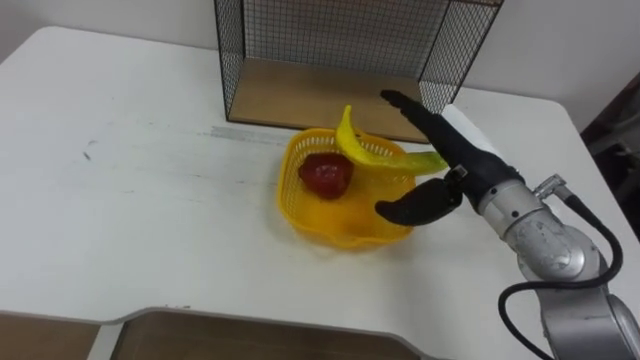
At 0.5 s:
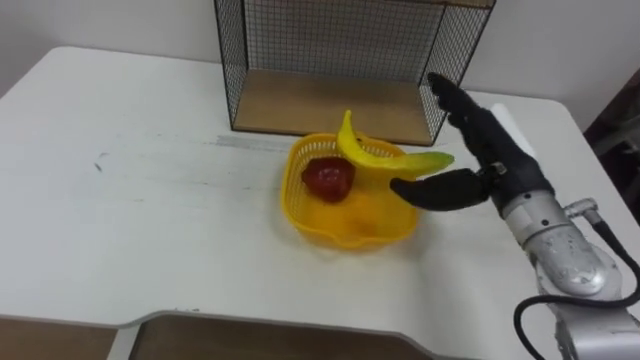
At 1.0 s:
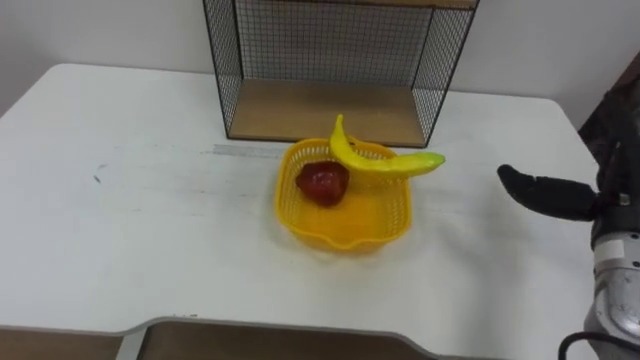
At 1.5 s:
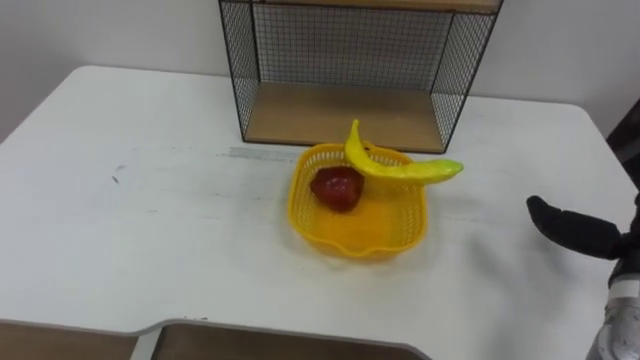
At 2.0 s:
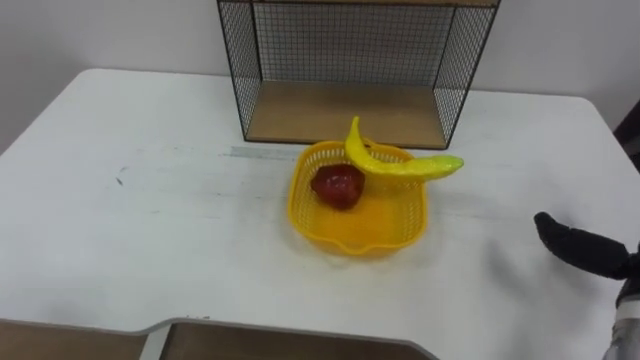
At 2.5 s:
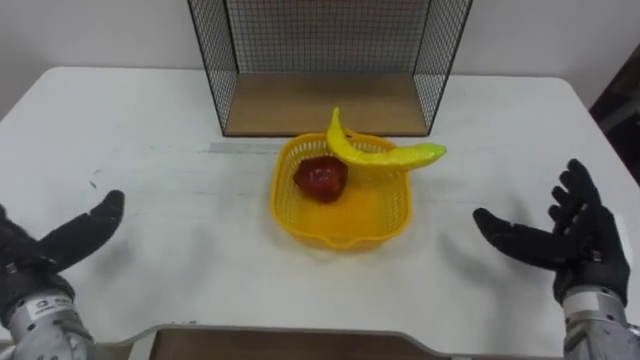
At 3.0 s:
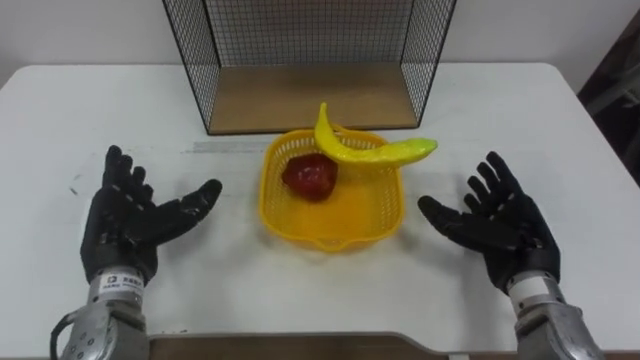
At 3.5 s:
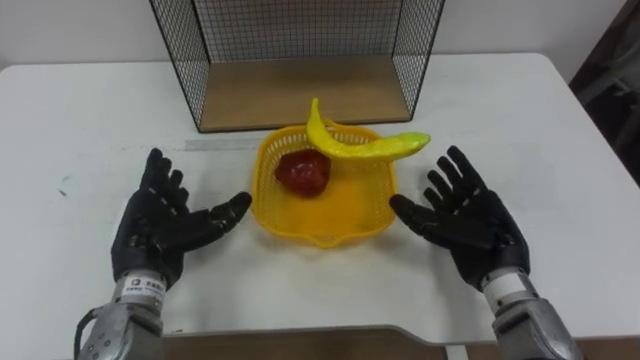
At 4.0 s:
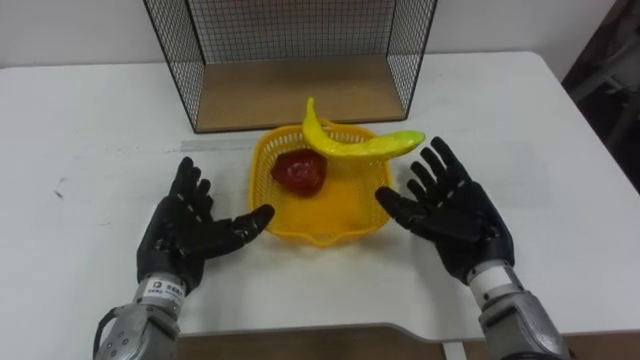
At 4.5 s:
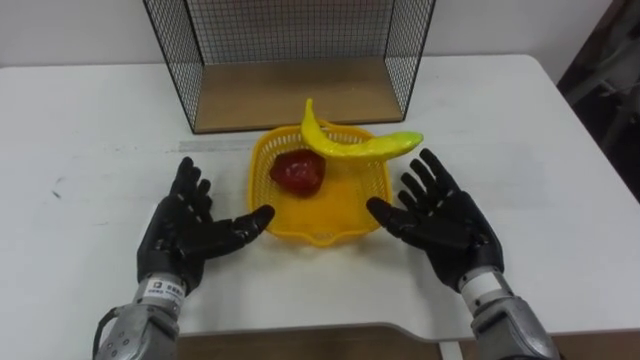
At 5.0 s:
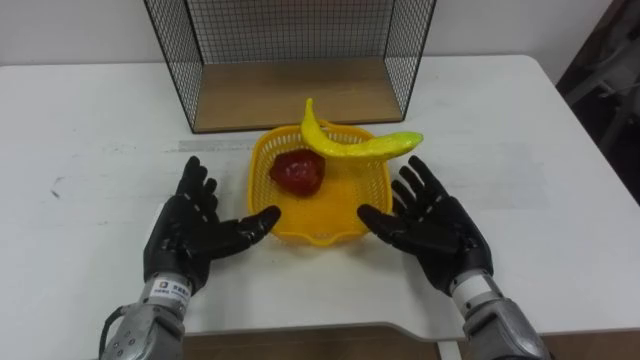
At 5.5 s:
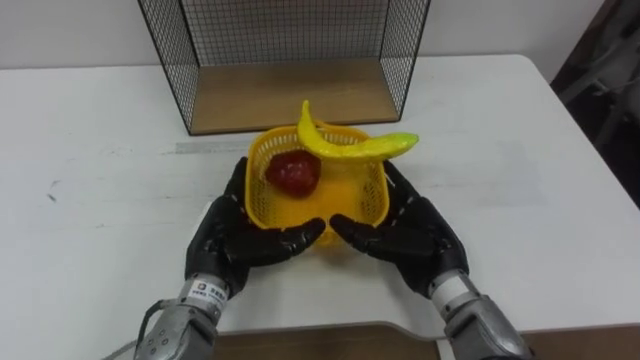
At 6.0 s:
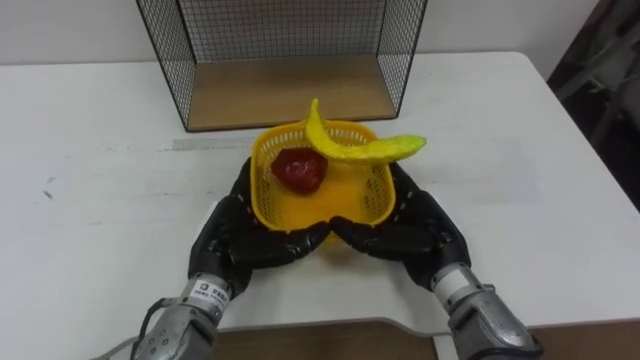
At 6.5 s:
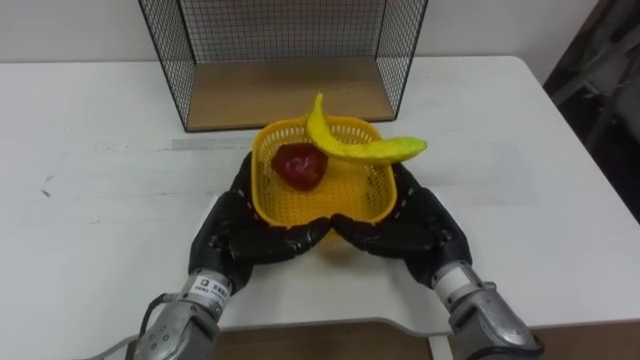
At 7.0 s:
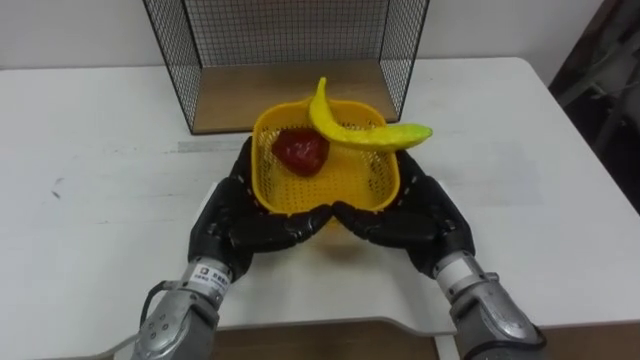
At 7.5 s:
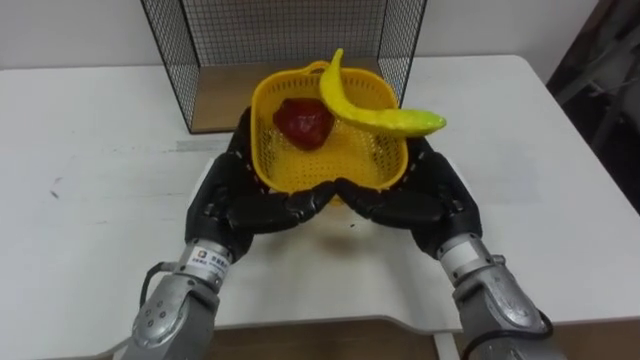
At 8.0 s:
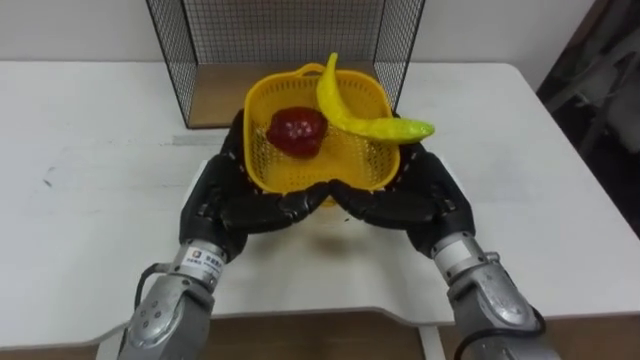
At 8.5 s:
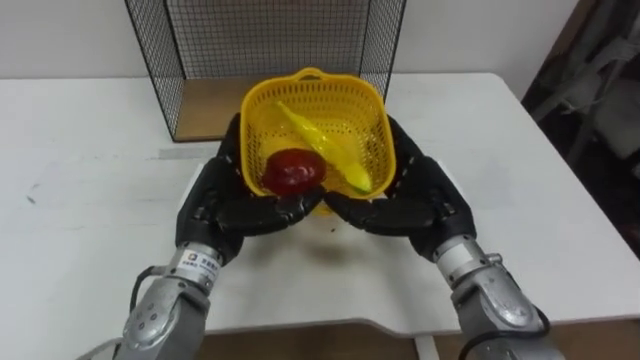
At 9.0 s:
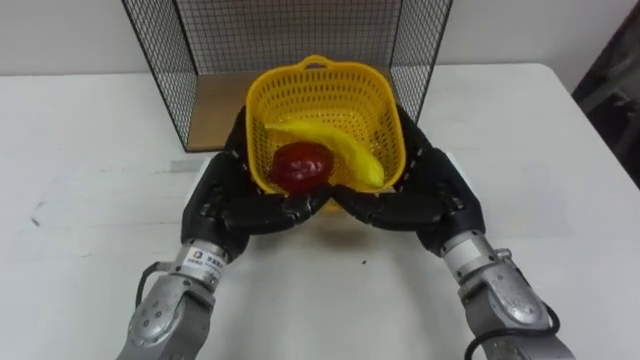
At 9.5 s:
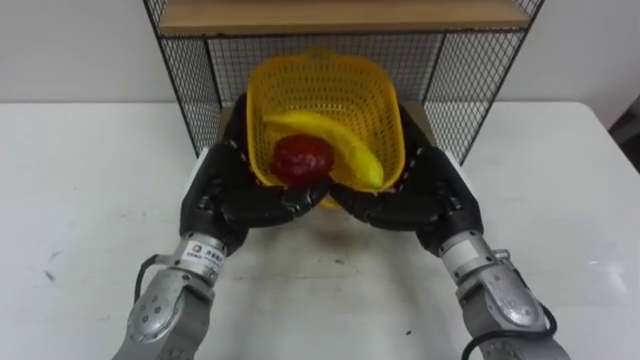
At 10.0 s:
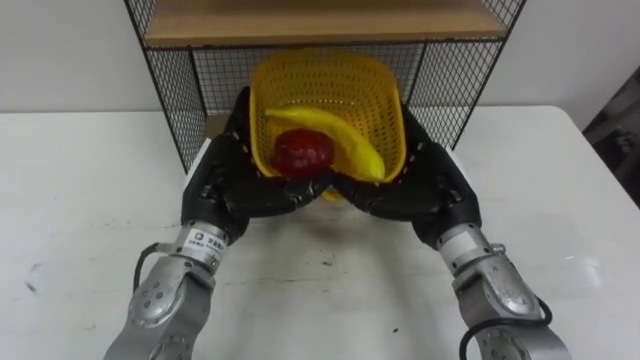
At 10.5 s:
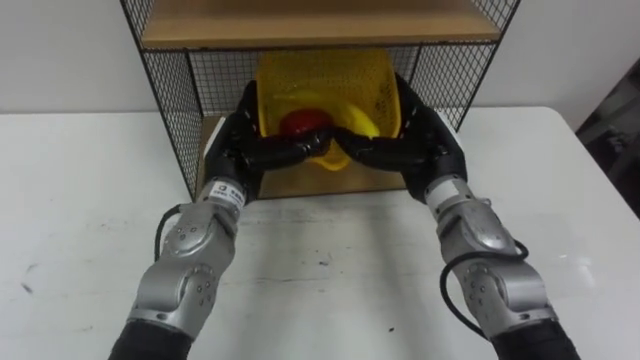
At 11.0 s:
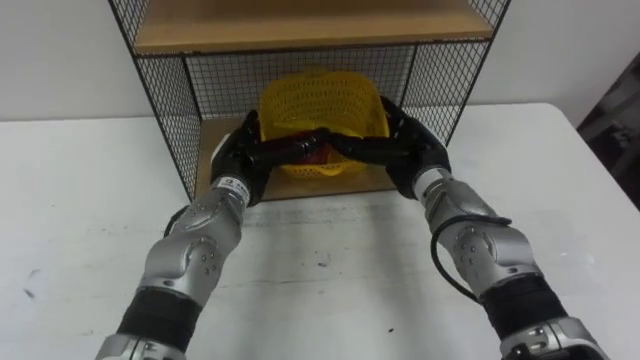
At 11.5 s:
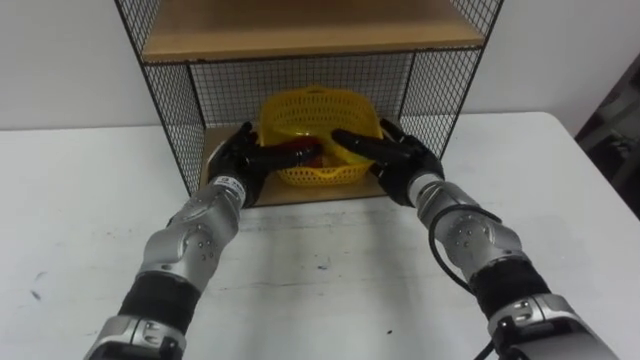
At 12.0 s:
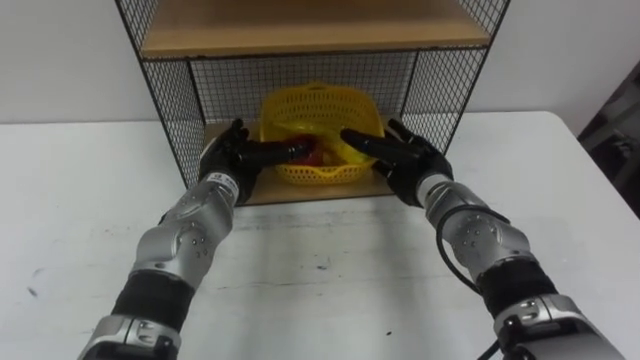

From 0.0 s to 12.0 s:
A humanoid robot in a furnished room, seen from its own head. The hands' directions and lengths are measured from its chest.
Task of the whole recording: Put the fruit on the table into the basket, then place the basket on the shelf.
From 4.0 s to 6.0 s: The left hand travels to the right by some 5 cm. Meanwhile the right hand heads to the left, covering approximately 5 cm.
From 6.0 s to 8.0 s: The left hand changes place by some 5 cm; the right hand ends up roughly 5 cm from where it was.
From 10.0 s to 12.0 s: The hands both shift forward and downward by some 10 cm.

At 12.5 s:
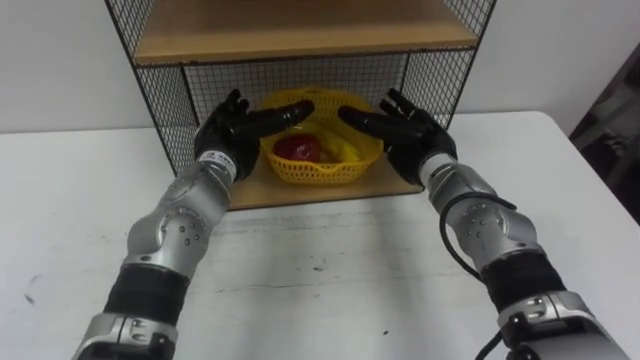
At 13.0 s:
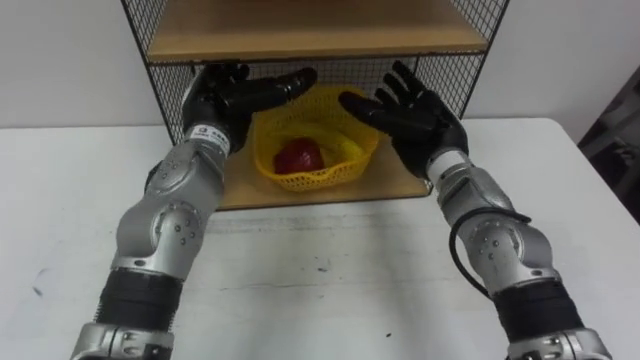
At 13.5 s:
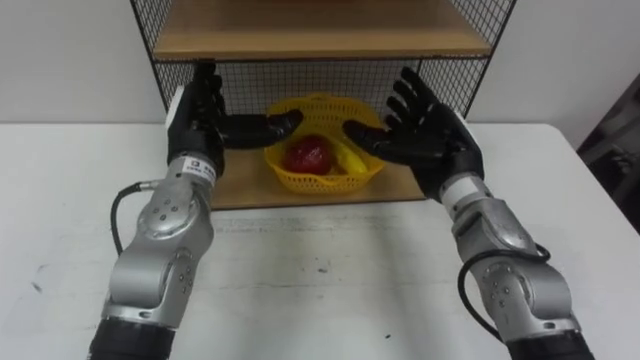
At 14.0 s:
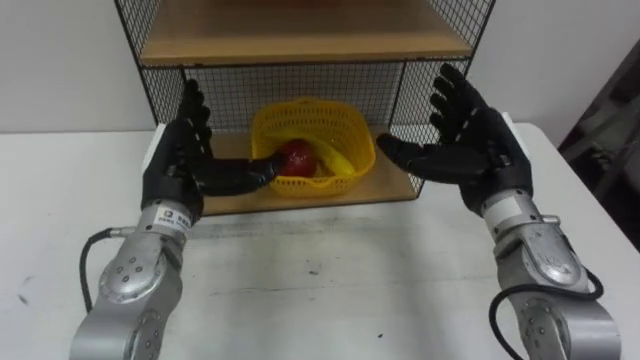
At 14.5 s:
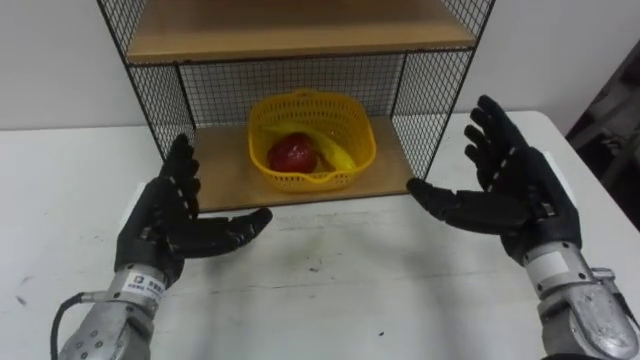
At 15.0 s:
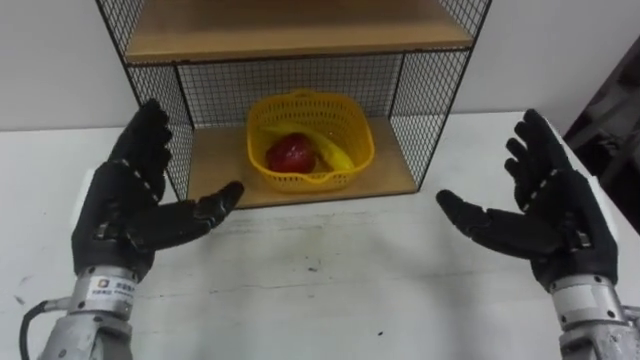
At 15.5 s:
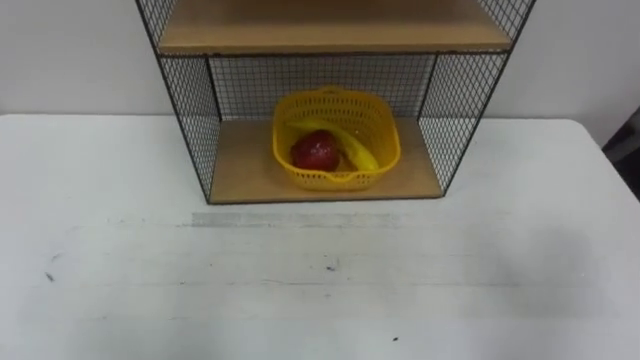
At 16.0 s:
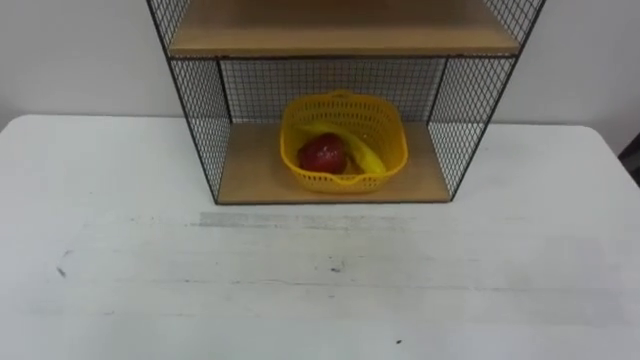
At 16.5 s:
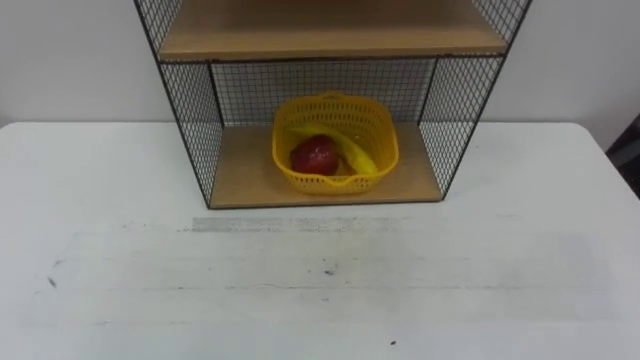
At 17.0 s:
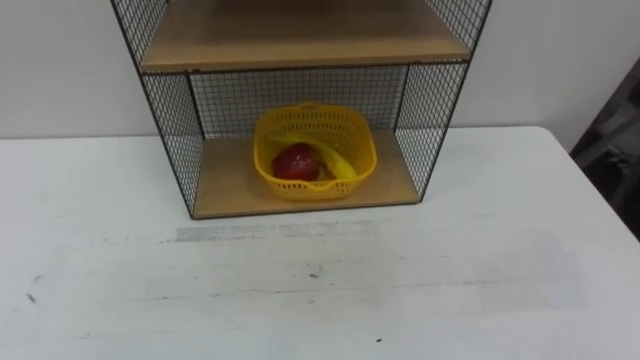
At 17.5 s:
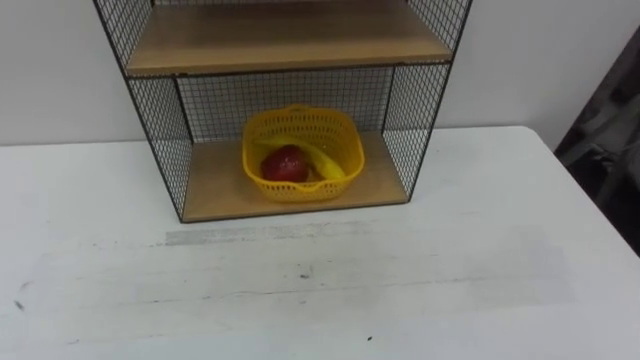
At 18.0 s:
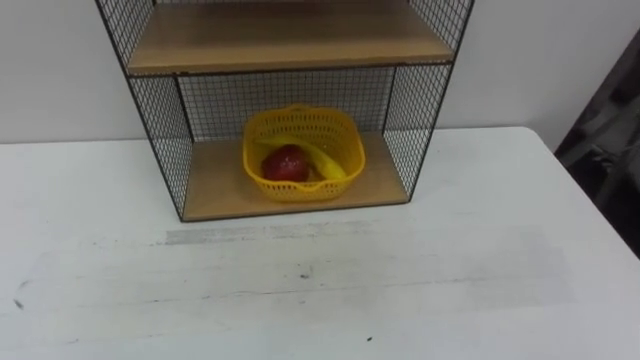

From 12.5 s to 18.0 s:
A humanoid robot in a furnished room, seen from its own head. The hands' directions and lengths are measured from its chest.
Task of the whole recording: Put the fruit on the table into the basket, then place the basket on the shelf.
From 12.5 s to 14.5 s: The left hand moves backward and to the left, roughly 15 cm. Meanwhile the right hand goes approximately 15 cm backward, to the right and upward.

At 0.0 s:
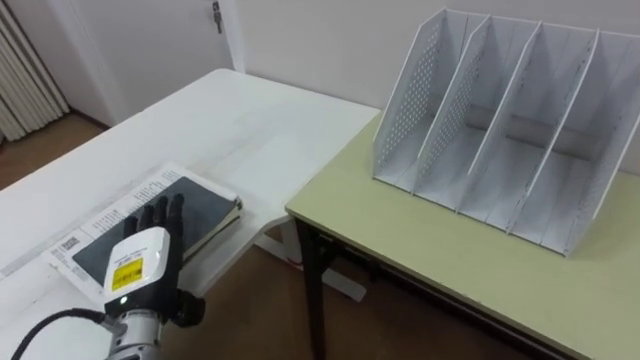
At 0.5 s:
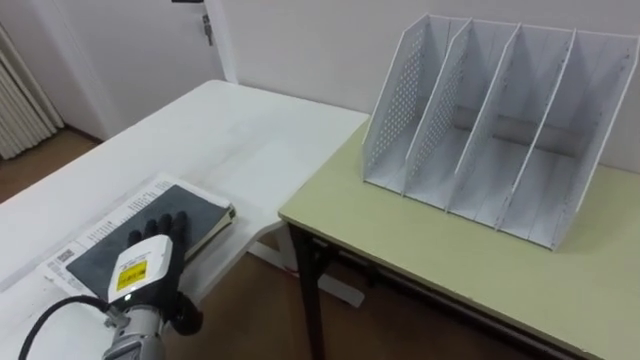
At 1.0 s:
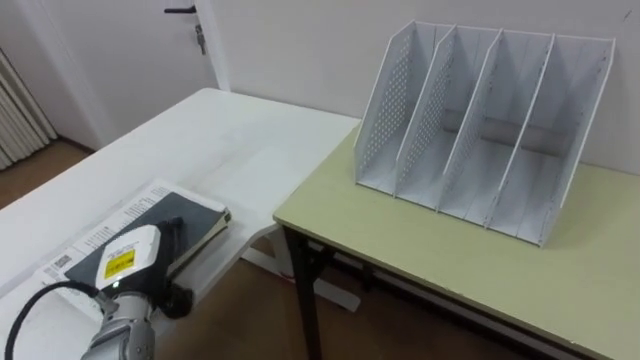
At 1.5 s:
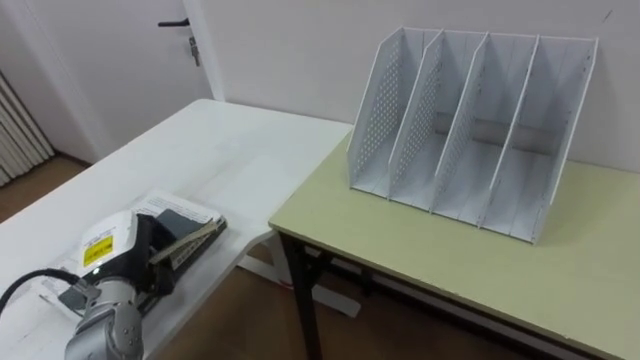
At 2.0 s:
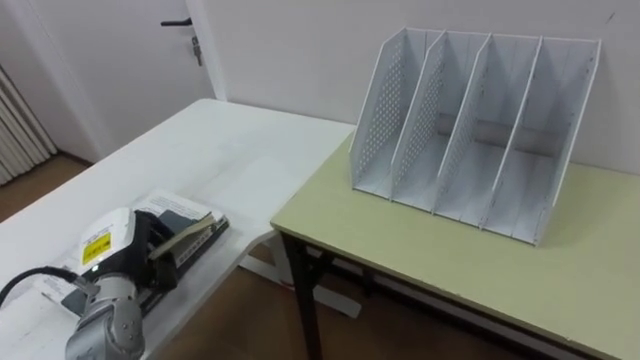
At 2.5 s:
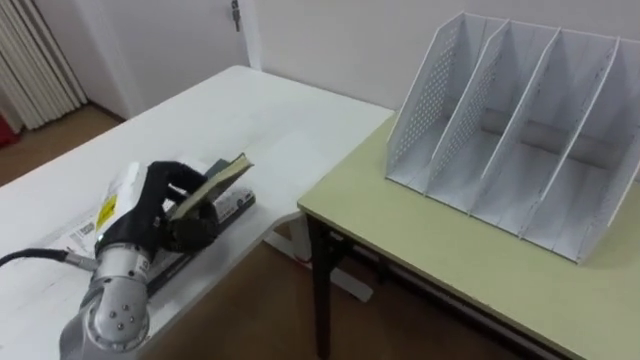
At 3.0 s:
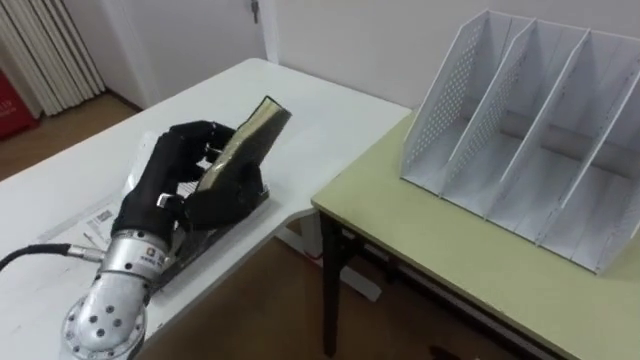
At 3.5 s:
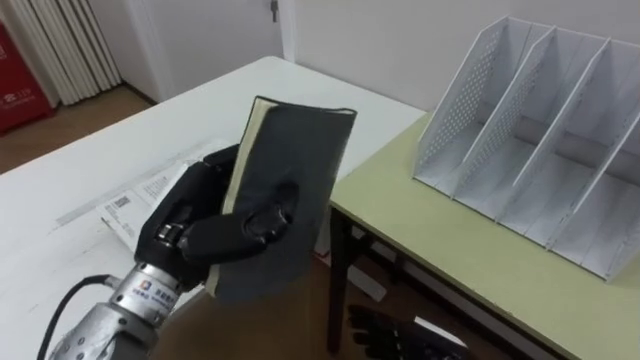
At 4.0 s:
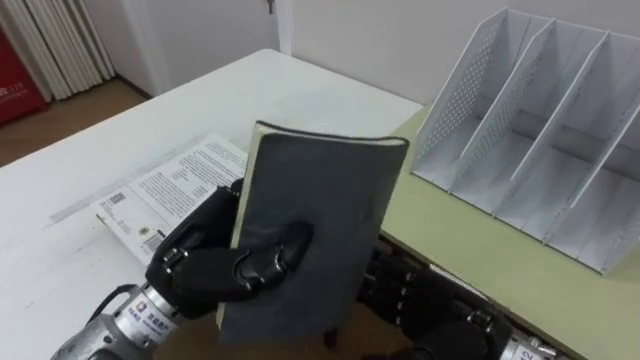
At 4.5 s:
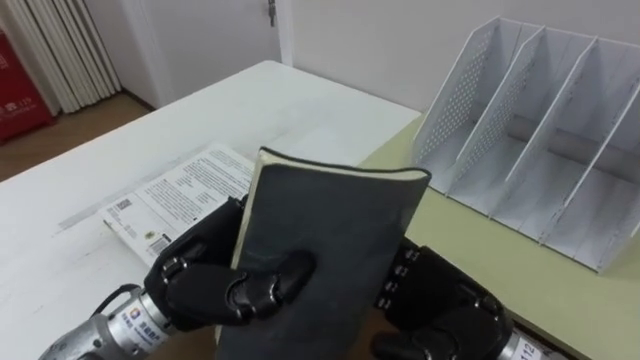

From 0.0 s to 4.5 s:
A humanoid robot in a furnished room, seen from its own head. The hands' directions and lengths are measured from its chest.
Task of the whole recording: Put the books on the table onto the bookshelf.
From 0.0 s to 2.0 s: The left hand changes place by some 5 cm, and closes its fingers.
From 2.0 s to 4.5 s: The left hand travels to the right, upward and backward by about 20 cm.
